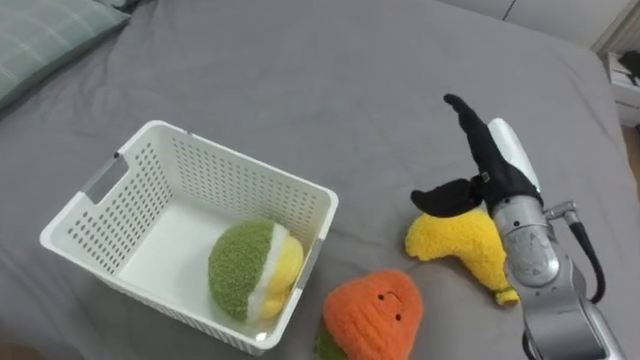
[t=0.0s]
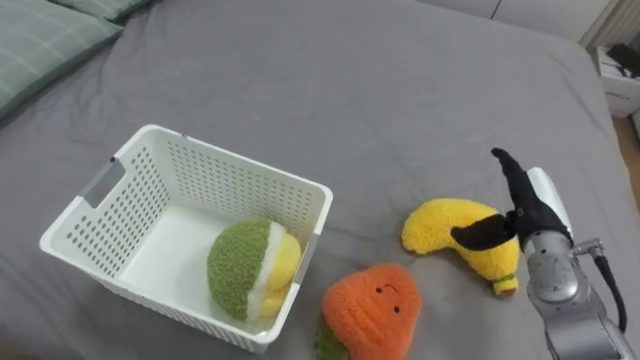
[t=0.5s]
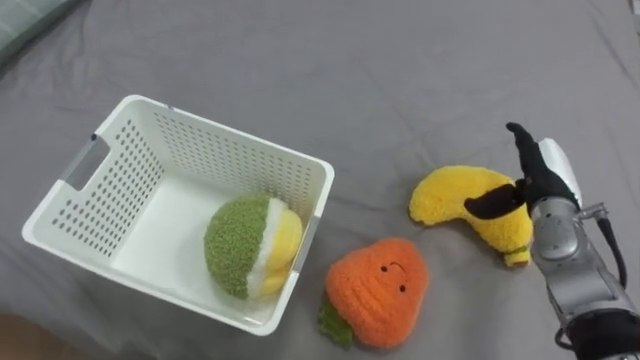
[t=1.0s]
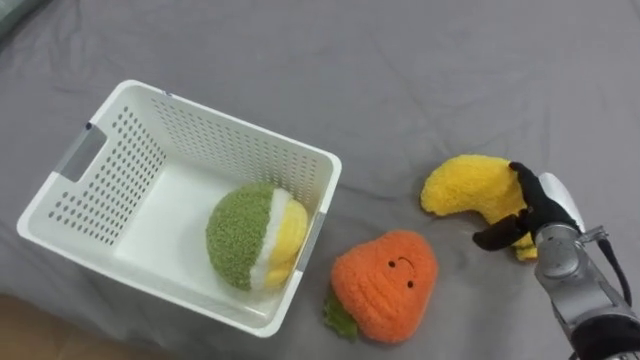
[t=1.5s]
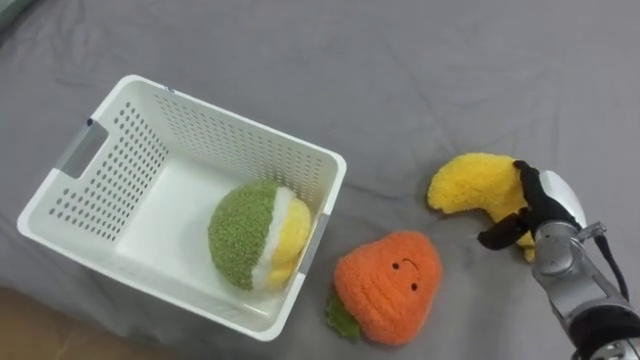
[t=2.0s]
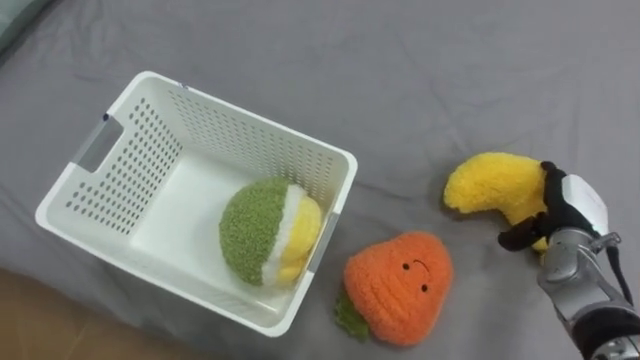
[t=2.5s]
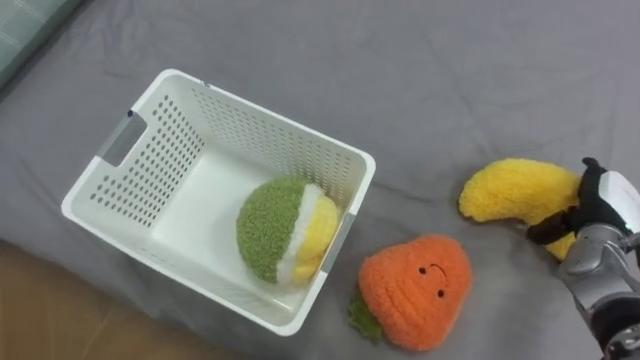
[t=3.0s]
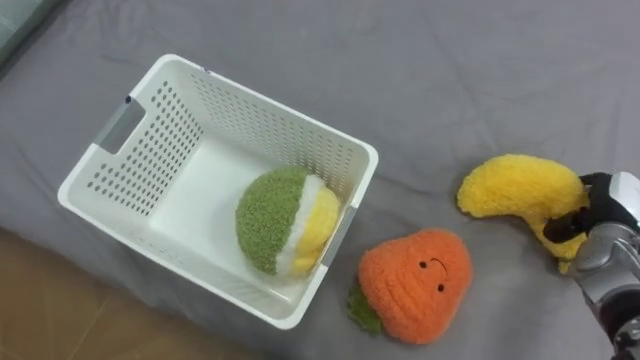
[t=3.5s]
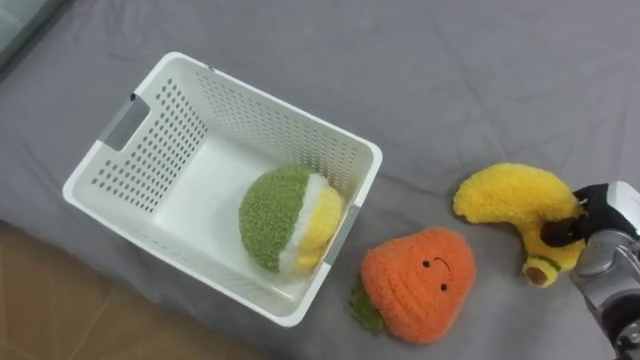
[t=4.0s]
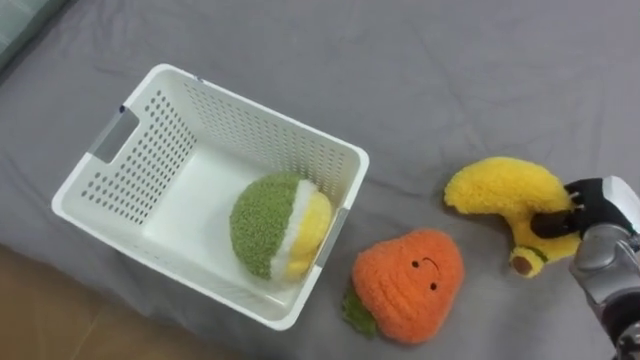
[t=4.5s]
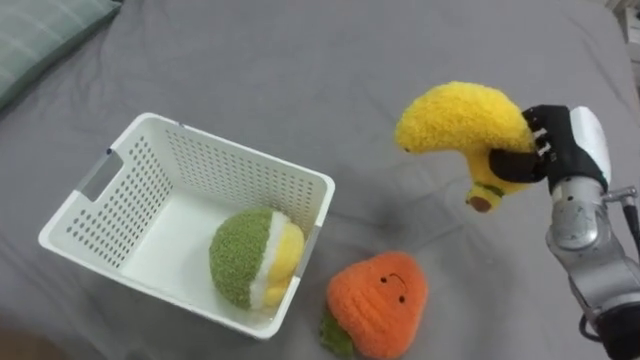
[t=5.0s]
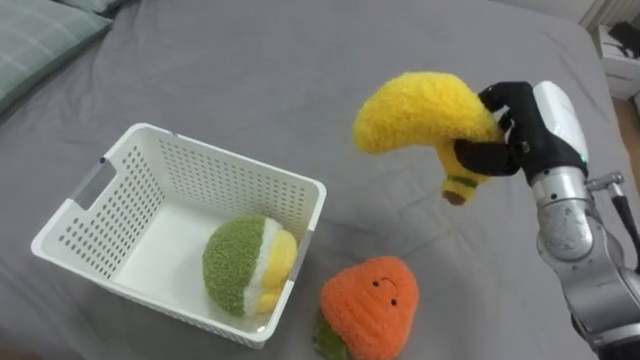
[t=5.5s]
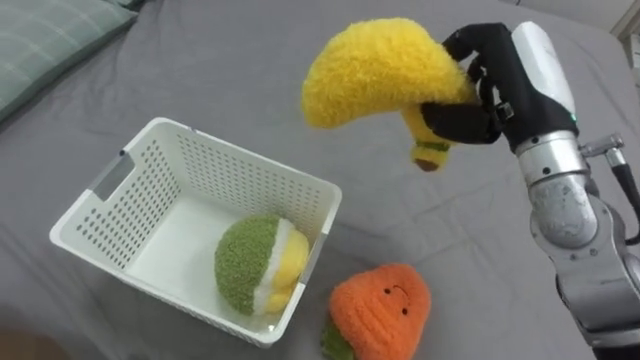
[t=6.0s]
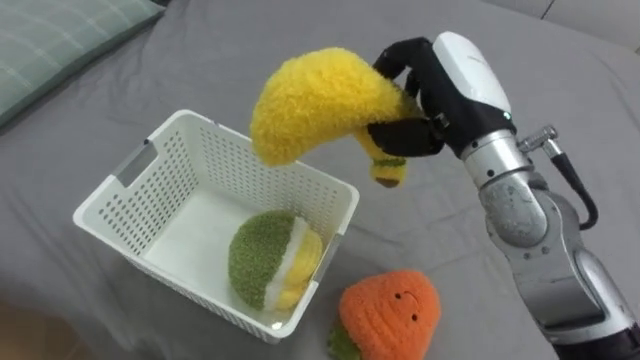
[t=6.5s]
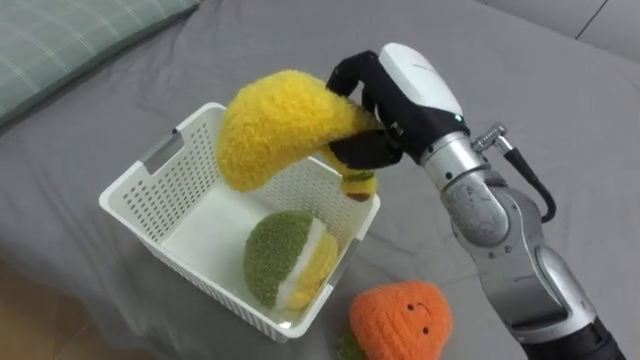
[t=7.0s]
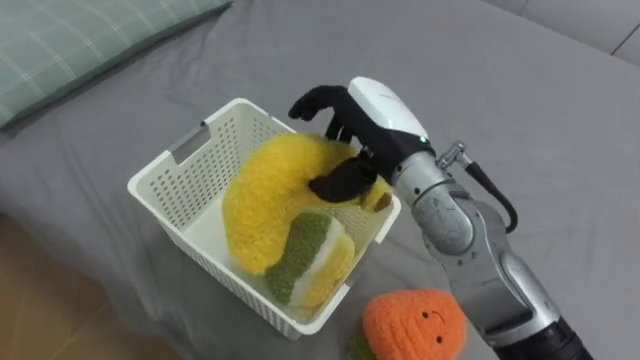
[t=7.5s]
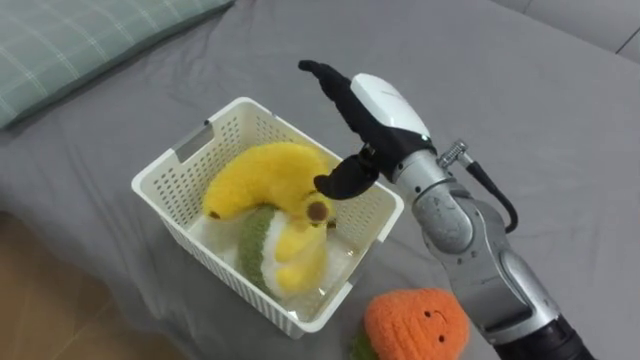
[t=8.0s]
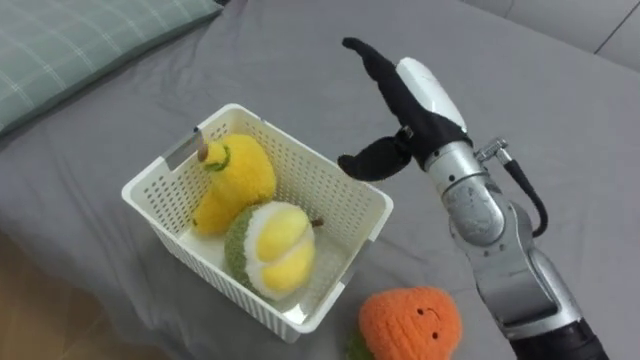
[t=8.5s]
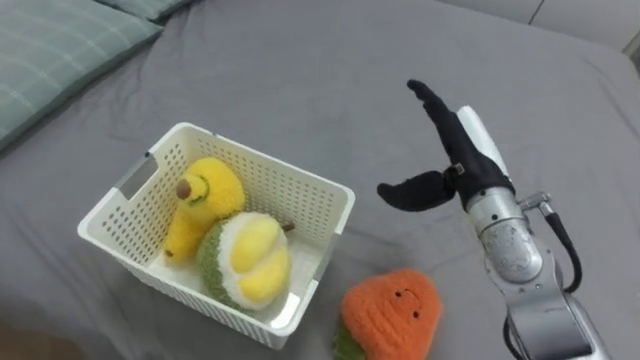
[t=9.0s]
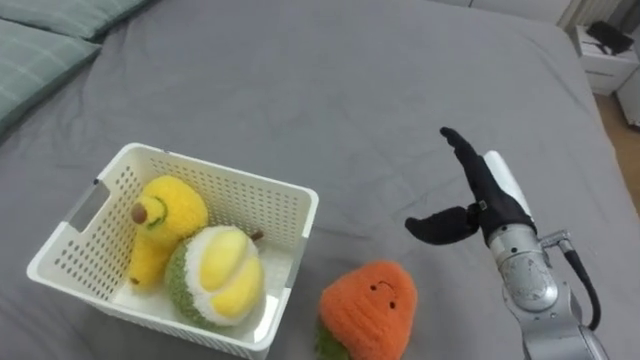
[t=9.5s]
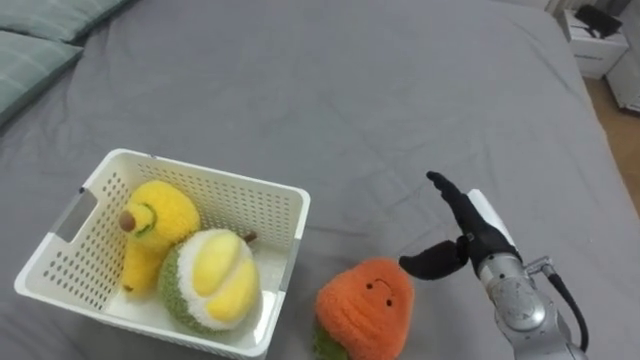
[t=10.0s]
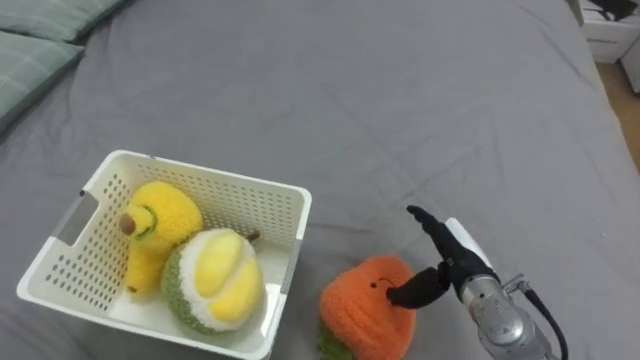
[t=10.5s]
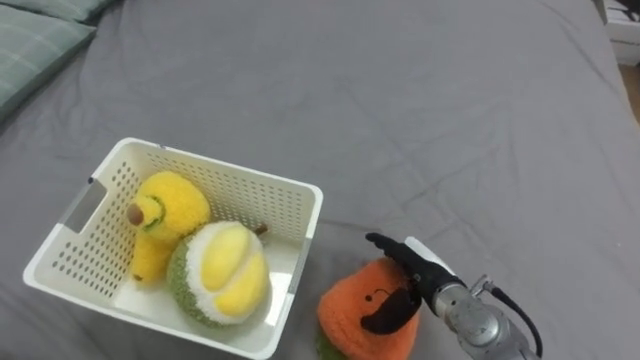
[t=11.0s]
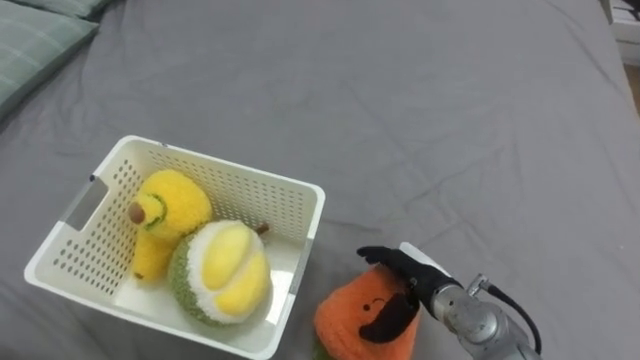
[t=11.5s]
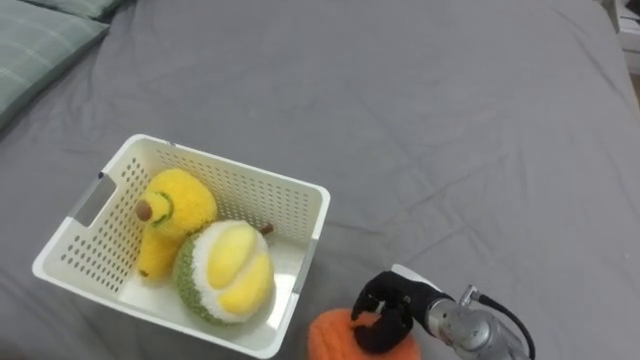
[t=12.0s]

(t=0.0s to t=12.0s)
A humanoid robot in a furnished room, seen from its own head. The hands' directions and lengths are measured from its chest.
Task of the whole recording: Put the toys on the bed into the basket on the left.
t=0.0s - t=2.0s: The right hand travels downward and to the right by roughly 15 cm.
t=2.0s - t=4.0s: The right hand moves to the right, some 5 cm, and closes up.
t=4.0s - t=6.0s: The right hand travels upward and to the left by some 30 cm.
t=6.0s - t=8.0s: The right hand is displaced to the left by about 15 cm, and opens.
t=8.0s - t=10.0s: The right hand travels downward and to the right by some 20 cm.
t=10.0s - t=12.0s: The right hand travels downward, to the left and backward by about 15 cm, and closes its fingers.

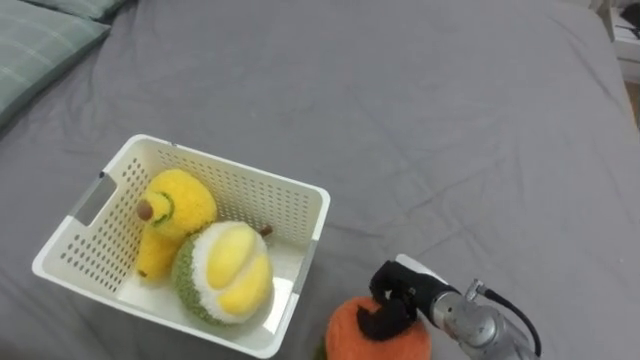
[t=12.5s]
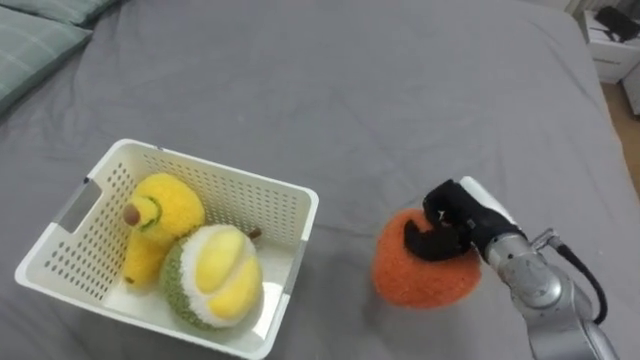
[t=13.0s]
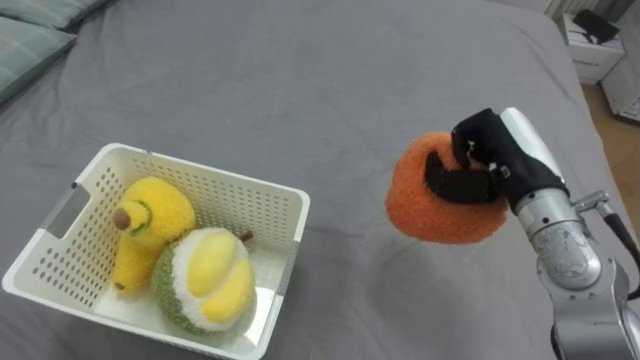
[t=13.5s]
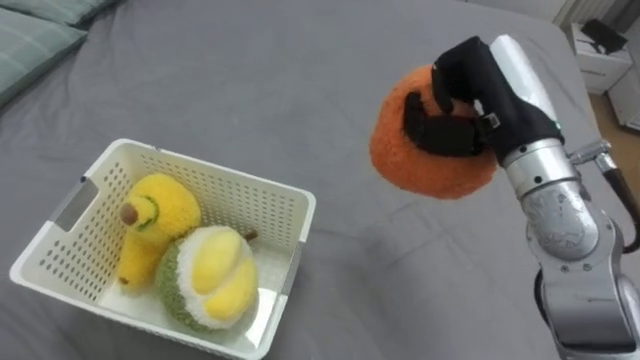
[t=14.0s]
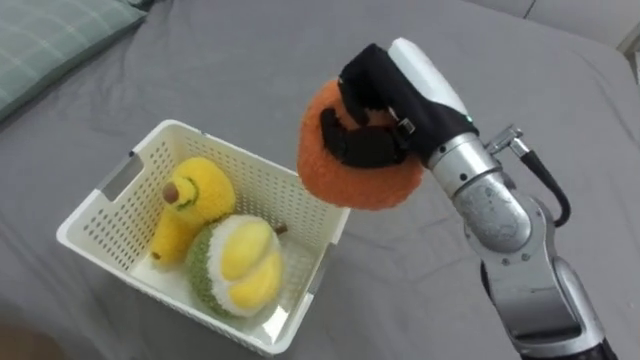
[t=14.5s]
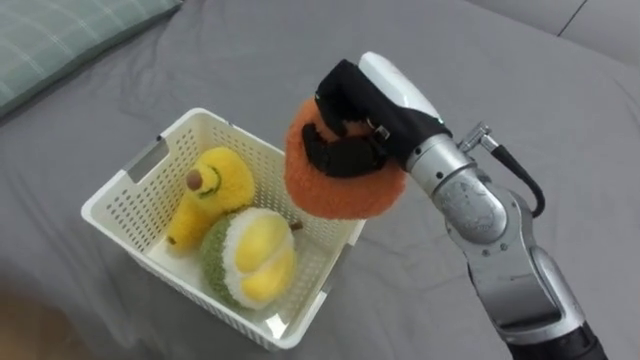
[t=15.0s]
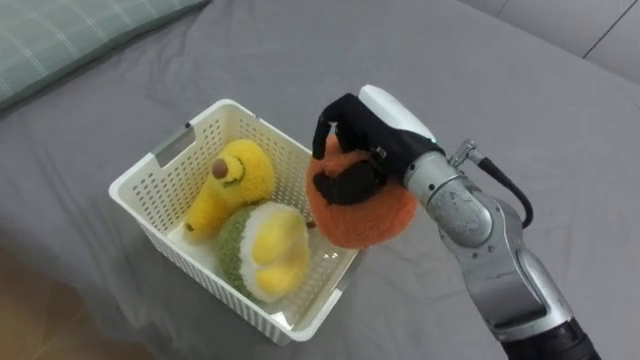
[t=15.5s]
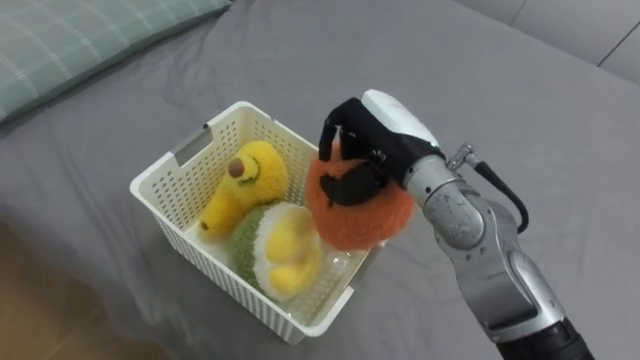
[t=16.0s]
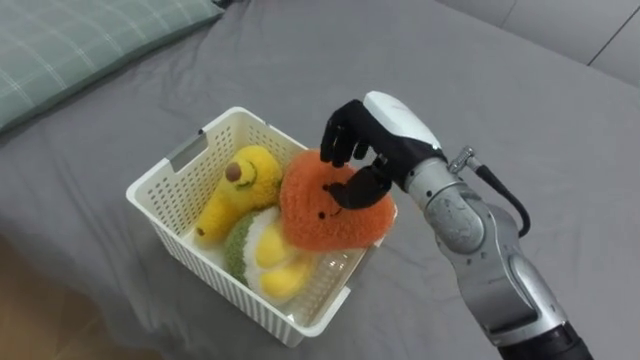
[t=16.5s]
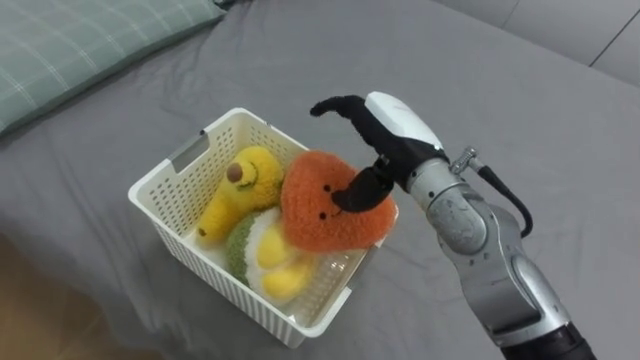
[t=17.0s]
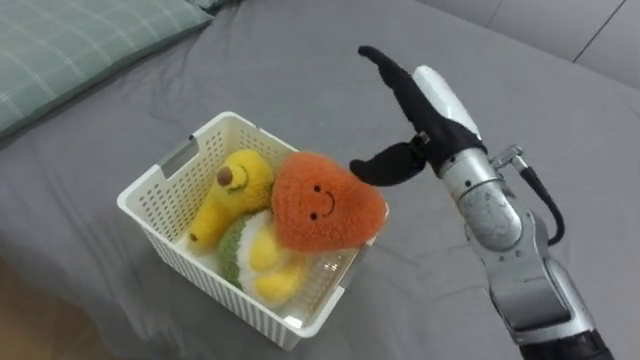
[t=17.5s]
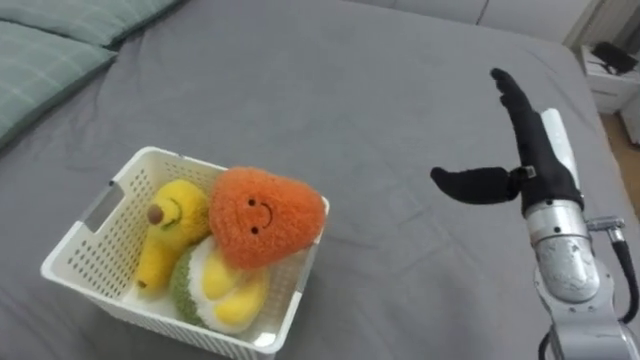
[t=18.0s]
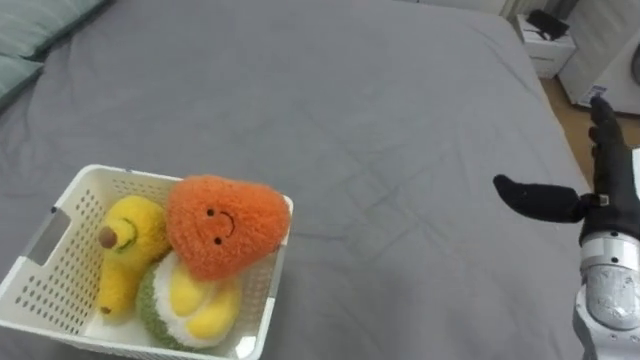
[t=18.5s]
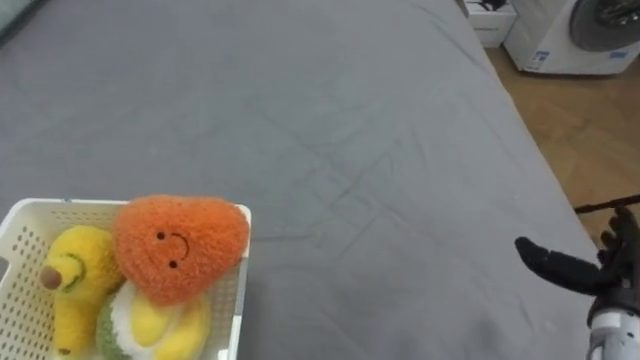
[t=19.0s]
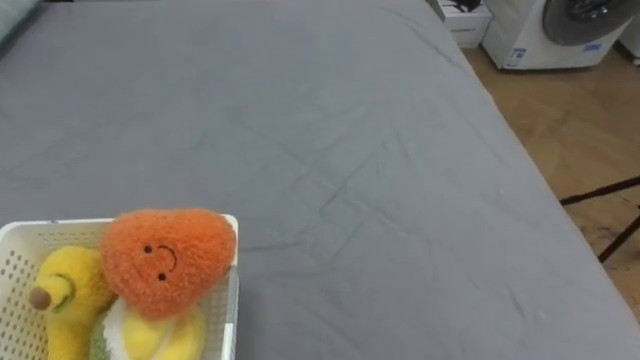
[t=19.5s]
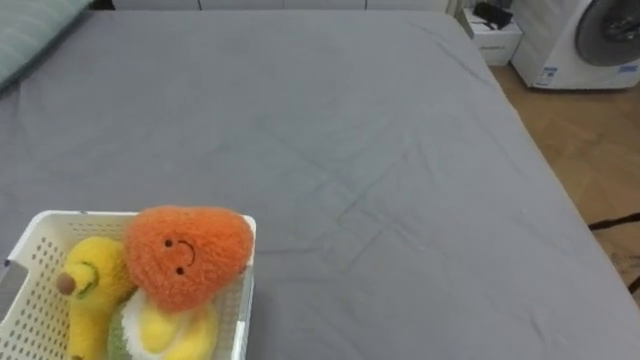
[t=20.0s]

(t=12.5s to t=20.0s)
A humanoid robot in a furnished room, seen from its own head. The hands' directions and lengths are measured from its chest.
Task of the whole recording: Put the toys on the bed into the basket on the left.
t=12.5s - t=14.5s: The right hand is displaced upward by approximately 25 cm.
t=14.5s - t=16.5s: The right hand goes approximately 5 cm downward, and opens.
t=16.5s - t=18.0s: The right hand heads to the right, covering approximately 15 cm, and opens.
